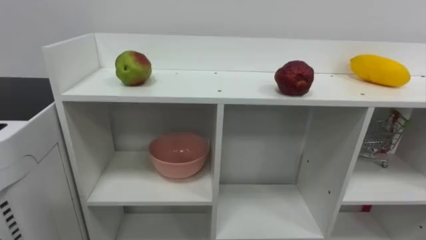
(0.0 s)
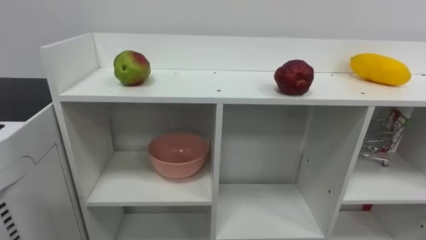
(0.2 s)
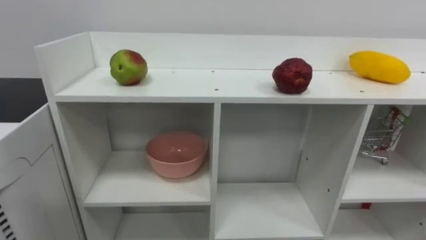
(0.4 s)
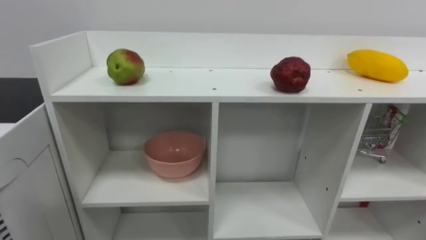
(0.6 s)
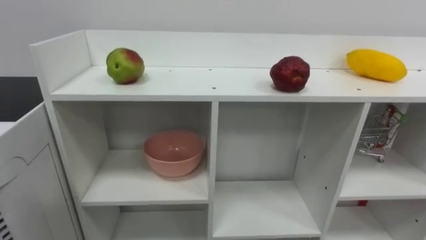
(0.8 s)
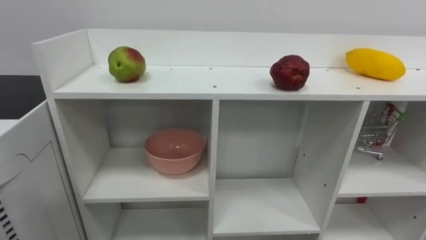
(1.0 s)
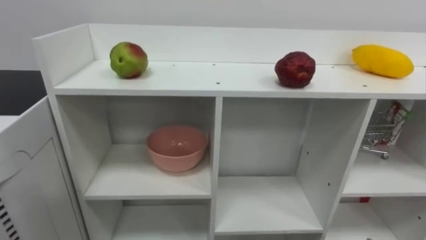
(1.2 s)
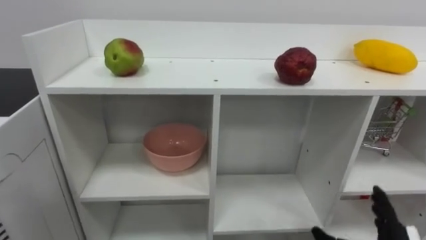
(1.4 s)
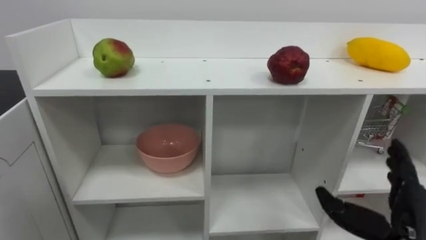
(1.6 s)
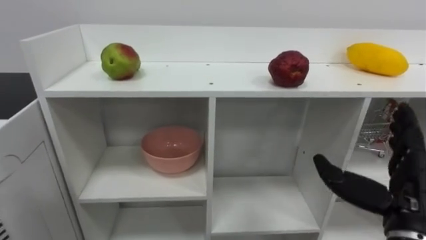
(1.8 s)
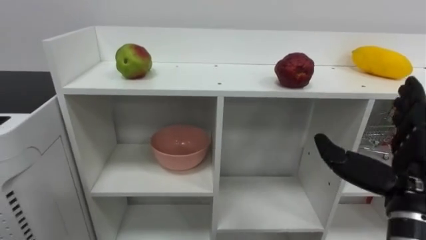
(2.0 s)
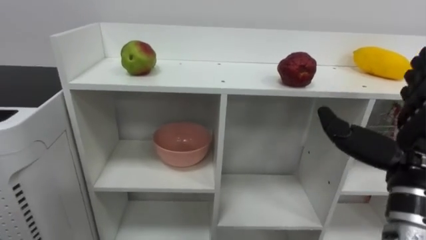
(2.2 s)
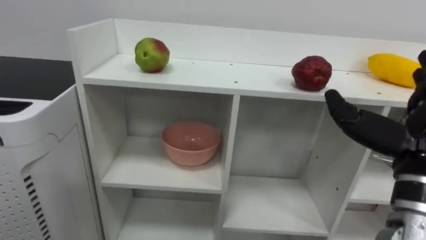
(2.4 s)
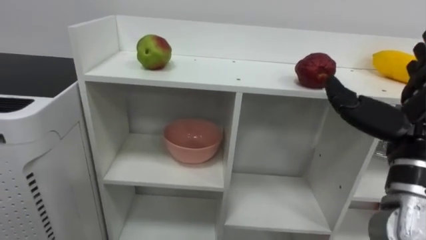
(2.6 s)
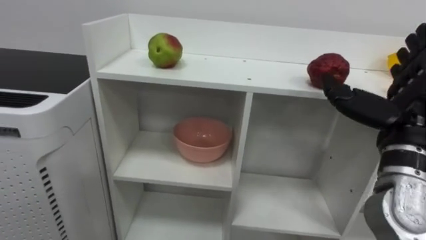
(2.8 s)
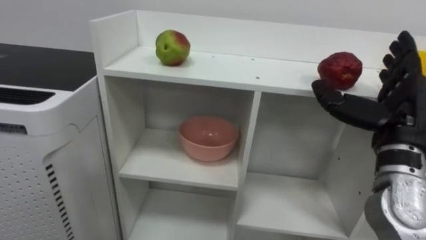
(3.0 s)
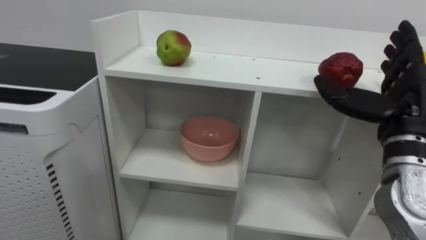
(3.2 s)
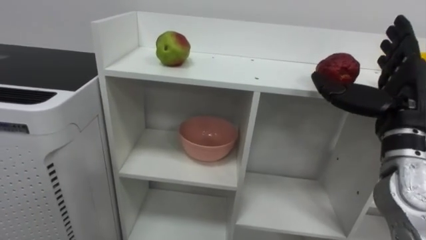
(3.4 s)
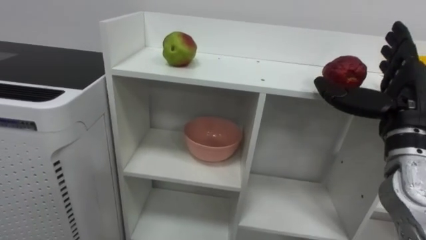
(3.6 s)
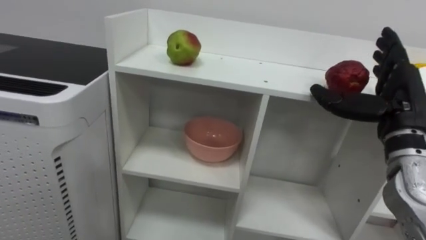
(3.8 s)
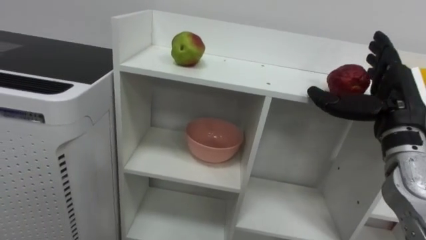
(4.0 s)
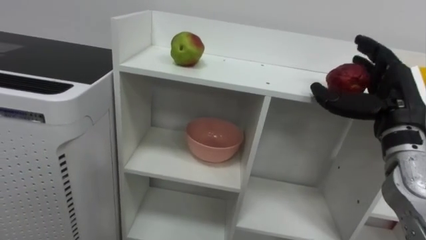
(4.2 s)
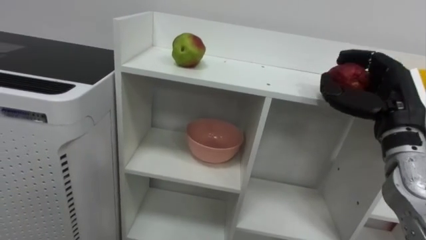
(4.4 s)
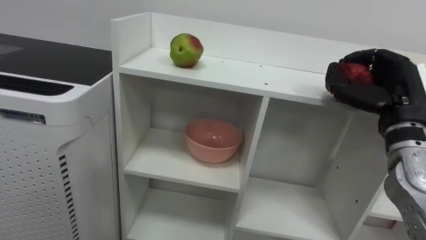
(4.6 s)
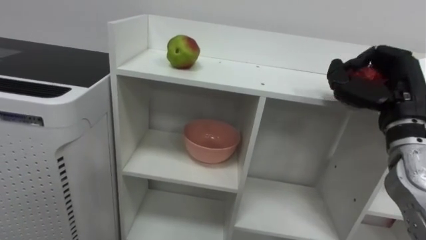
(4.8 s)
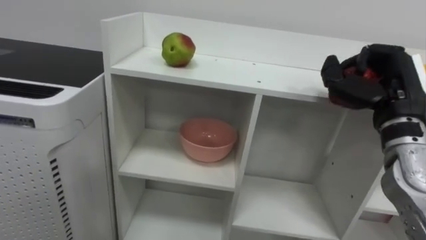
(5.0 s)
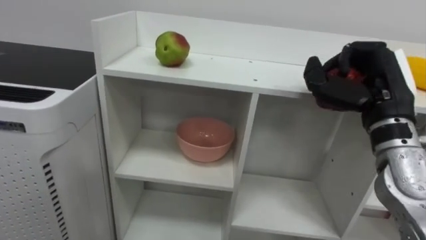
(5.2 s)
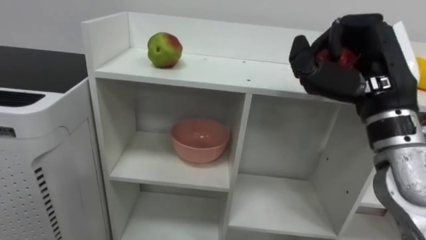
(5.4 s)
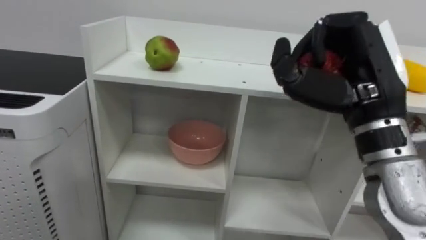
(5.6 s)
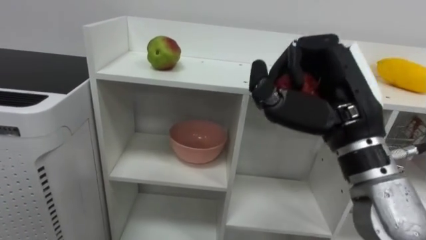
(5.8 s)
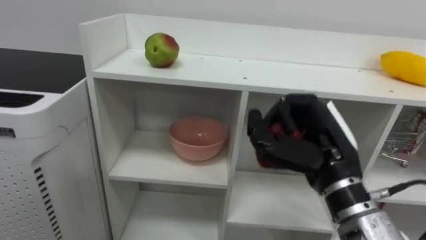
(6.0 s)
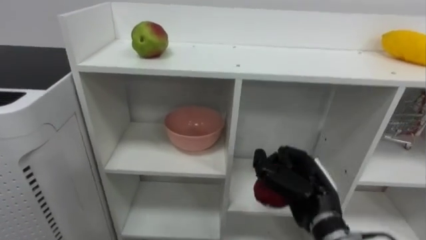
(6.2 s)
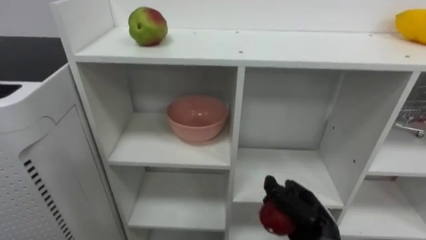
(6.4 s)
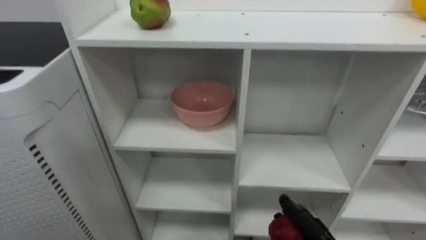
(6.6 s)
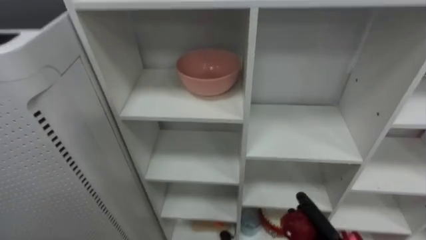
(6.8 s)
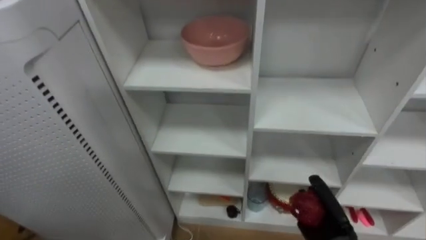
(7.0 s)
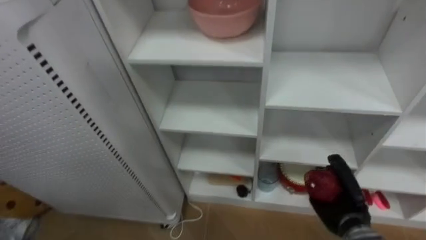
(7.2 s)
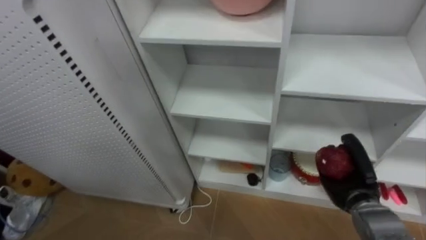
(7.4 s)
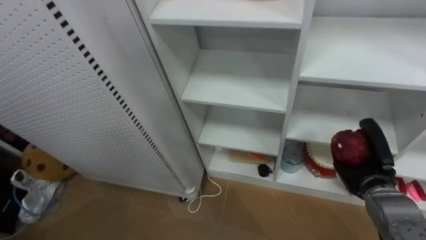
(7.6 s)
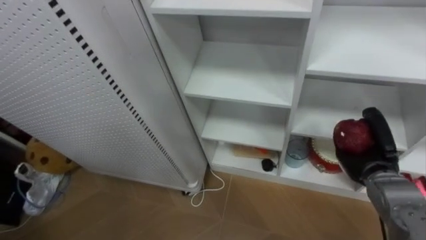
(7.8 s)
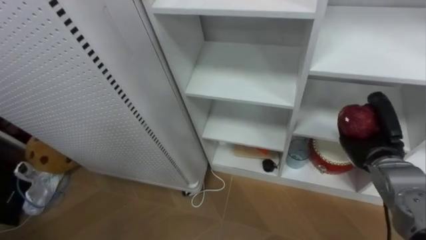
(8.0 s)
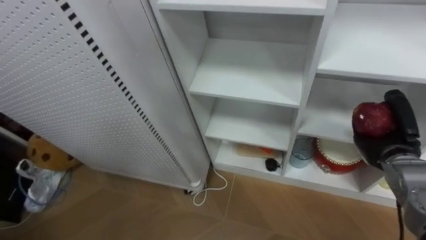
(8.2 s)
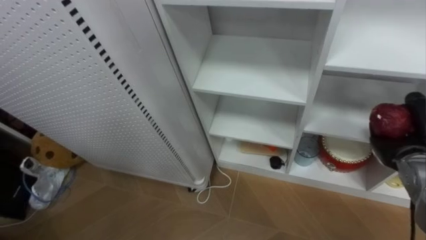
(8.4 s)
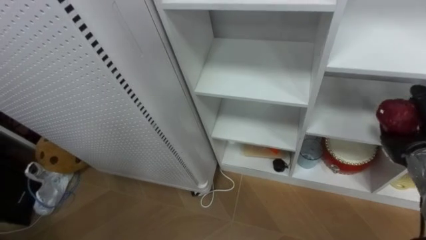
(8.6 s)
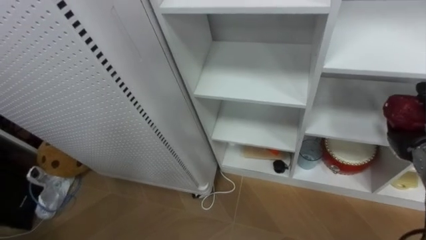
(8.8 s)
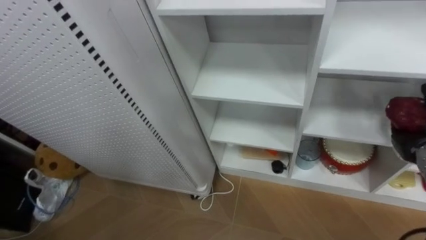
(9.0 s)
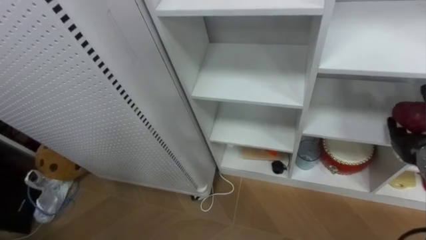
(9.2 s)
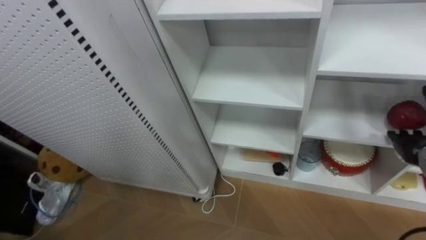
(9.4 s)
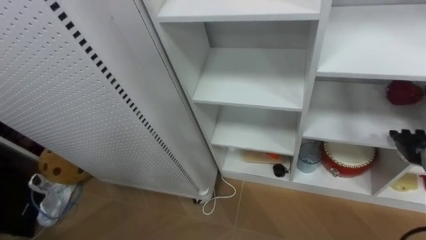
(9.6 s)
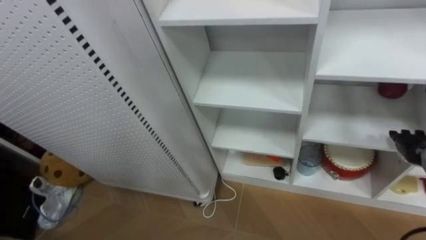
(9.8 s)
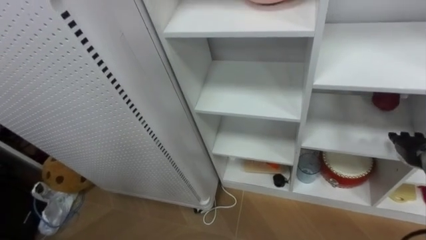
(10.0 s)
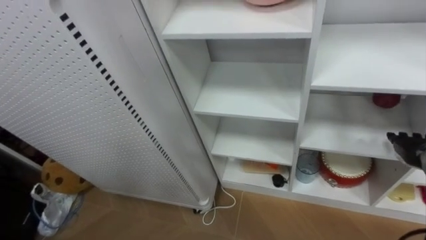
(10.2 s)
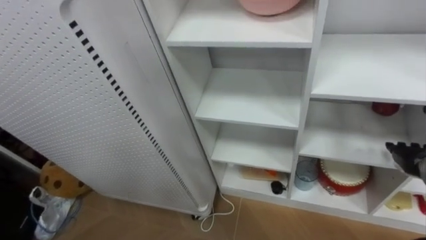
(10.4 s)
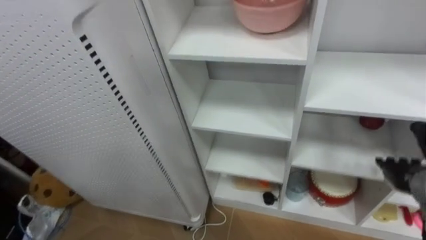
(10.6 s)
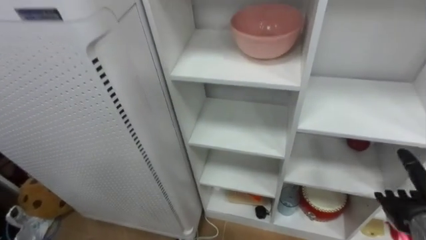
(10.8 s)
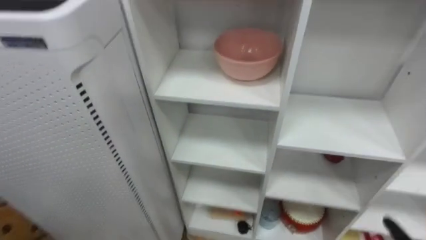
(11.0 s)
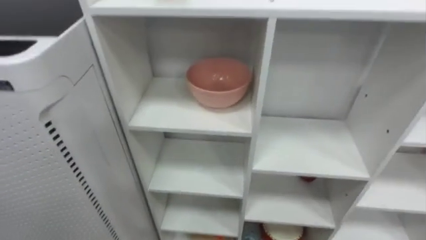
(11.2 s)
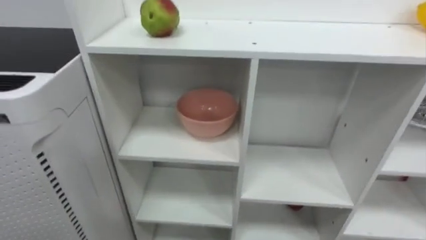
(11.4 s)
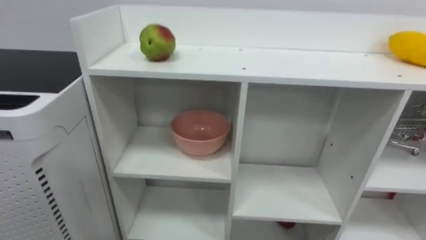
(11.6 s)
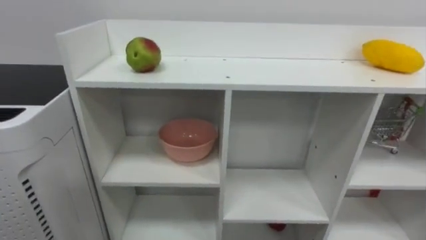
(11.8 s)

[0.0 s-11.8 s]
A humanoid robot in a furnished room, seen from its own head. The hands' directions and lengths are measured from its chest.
Task of the whole recording: Put the apple in the cell in the second column from the left and the second row from the top.
3.0 to 4.4 s: The right hand closes up.
4.4 to 6.0 s: The right hand goes approximately 15 cm to the left and backward, and closes up.
7.4 to 8.8 s: The right hand travels upward and to the right by about 15 cm.
8.8 to 10.4 s: The right hand opens its fingers.

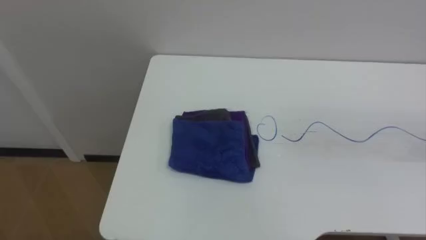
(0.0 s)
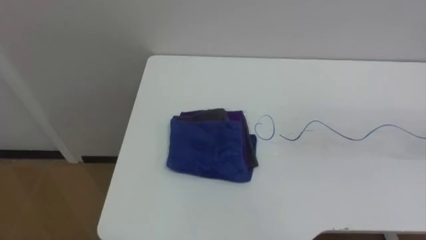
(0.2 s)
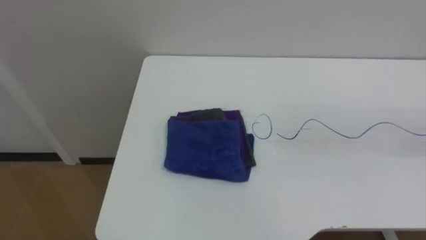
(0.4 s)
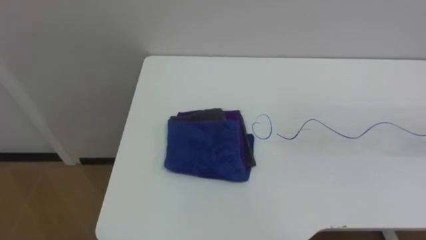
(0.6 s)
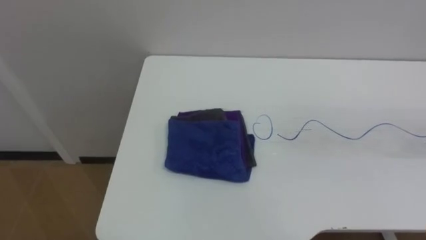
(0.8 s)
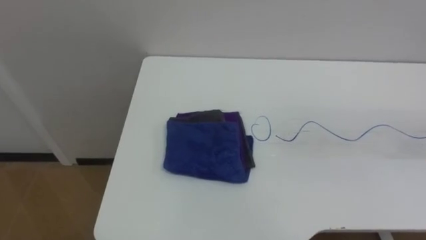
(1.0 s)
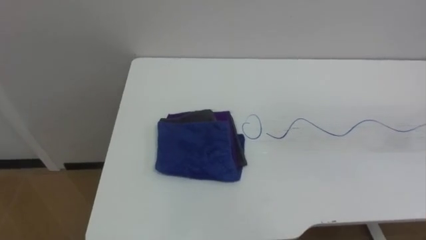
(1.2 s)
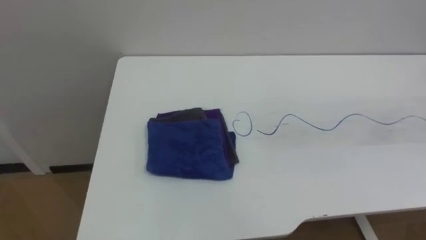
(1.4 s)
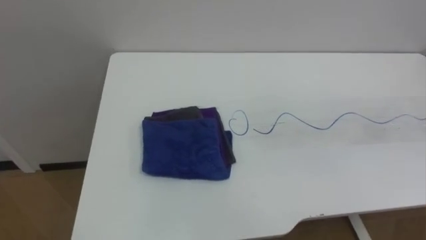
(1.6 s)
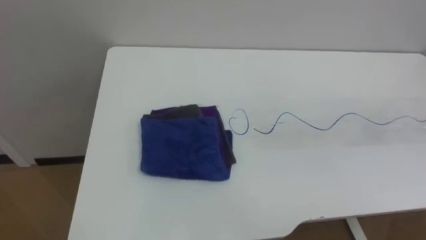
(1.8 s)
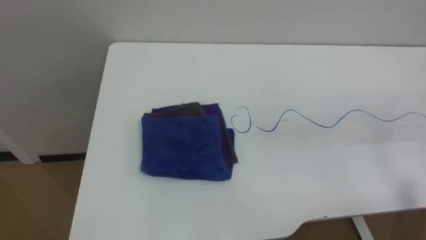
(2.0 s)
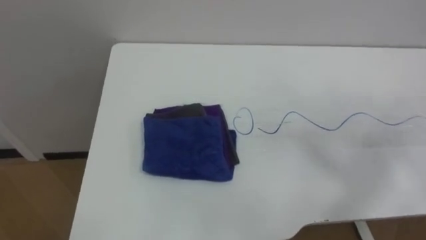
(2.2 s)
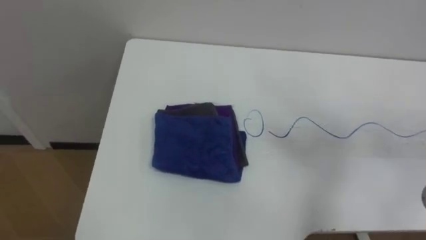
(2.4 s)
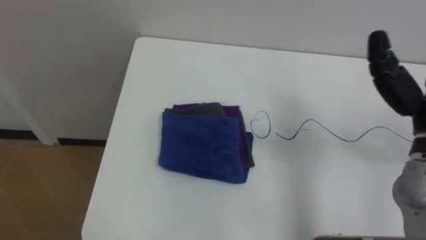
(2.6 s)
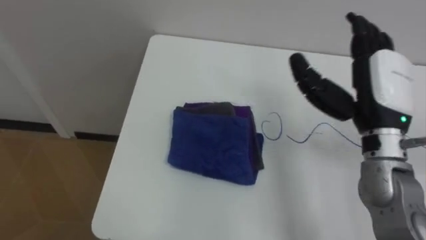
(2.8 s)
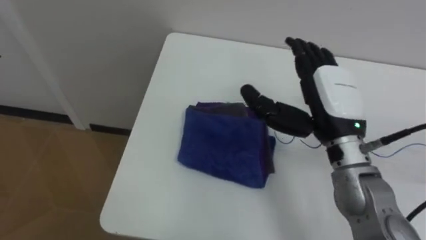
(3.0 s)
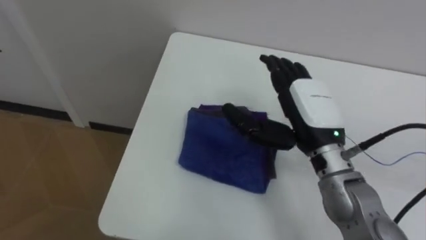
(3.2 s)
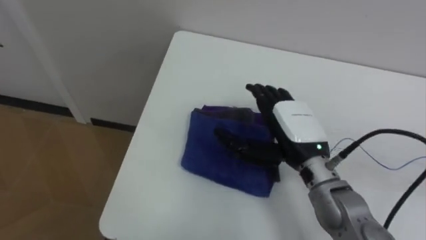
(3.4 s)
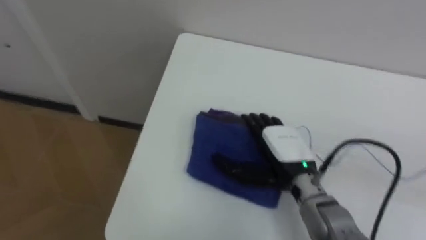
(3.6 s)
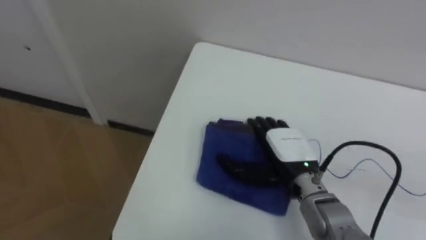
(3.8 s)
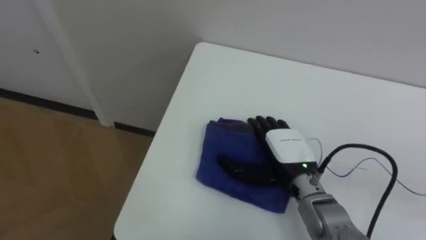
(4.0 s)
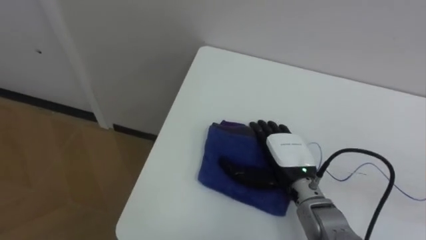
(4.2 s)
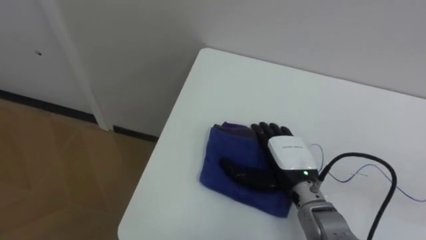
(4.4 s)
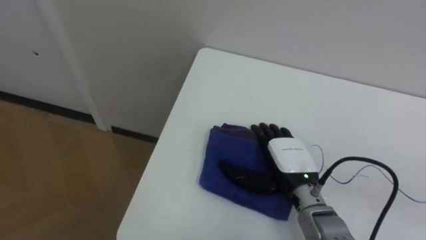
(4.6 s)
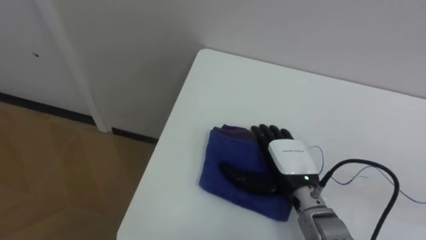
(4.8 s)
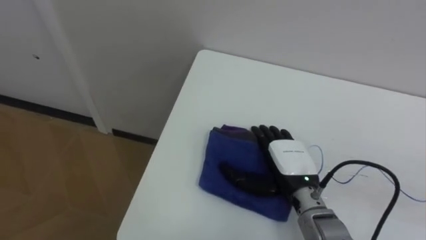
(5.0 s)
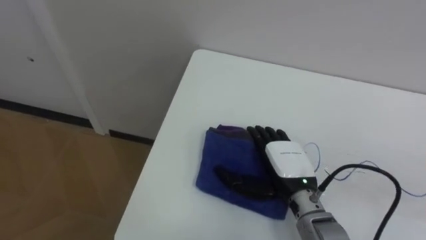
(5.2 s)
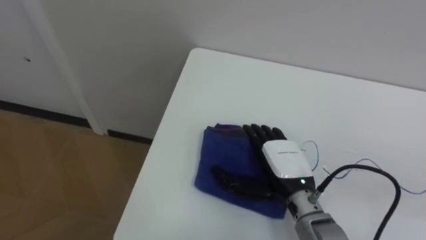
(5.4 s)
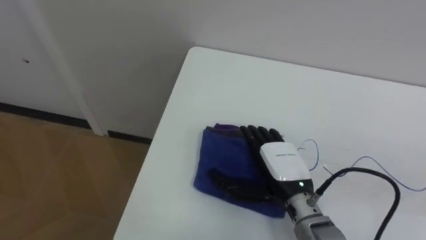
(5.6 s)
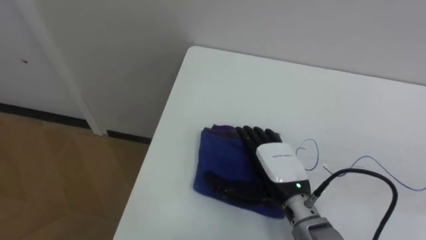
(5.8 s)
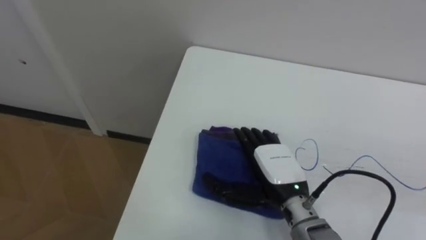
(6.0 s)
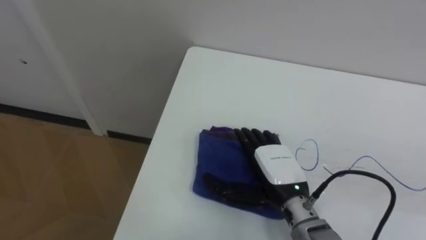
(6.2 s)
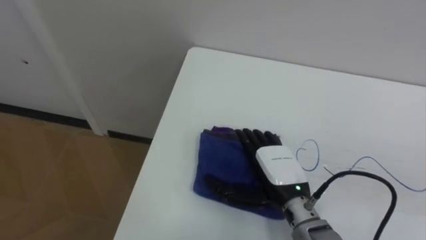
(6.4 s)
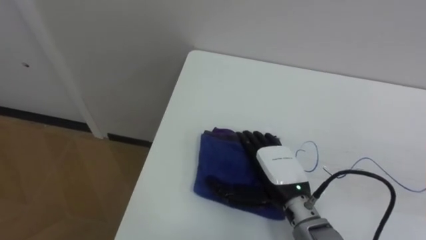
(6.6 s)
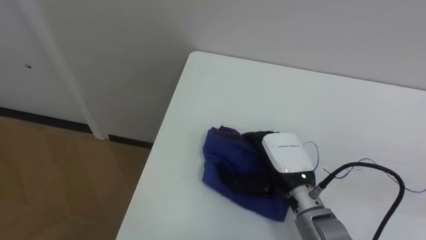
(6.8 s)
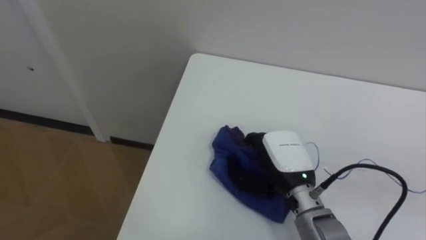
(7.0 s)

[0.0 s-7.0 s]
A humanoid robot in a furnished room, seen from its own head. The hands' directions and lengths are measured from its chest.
Task of the whole recording: Wipe the blue pen marks off the table with the rag.
2.8 to 4.2 s: The right hand travels downward and to the left by some 20 cm.
5.6 to 7.0 s: The right hand closes up.
